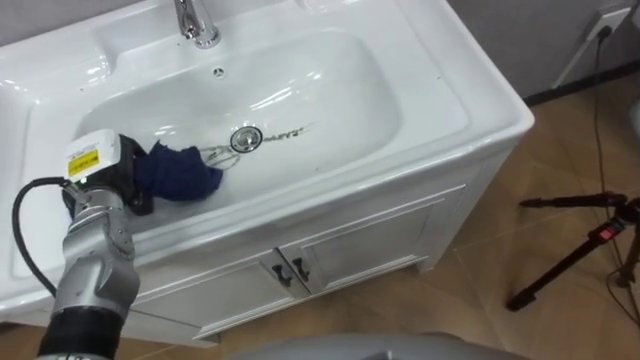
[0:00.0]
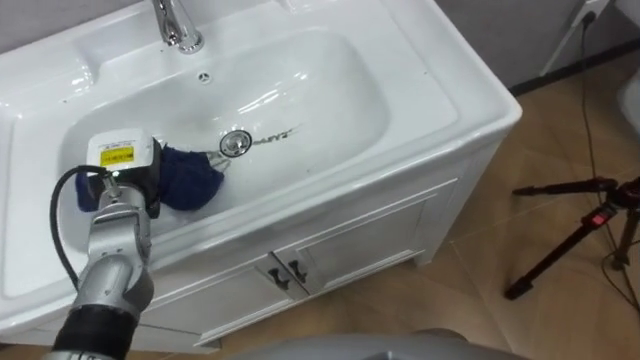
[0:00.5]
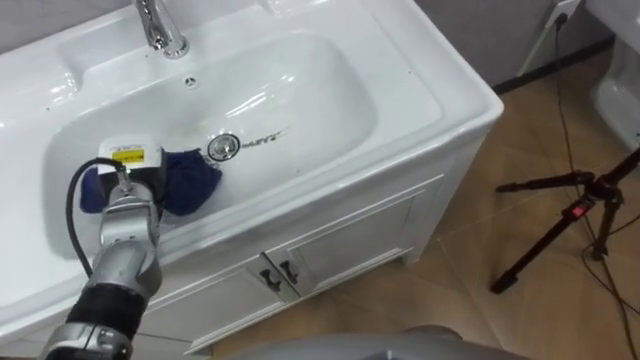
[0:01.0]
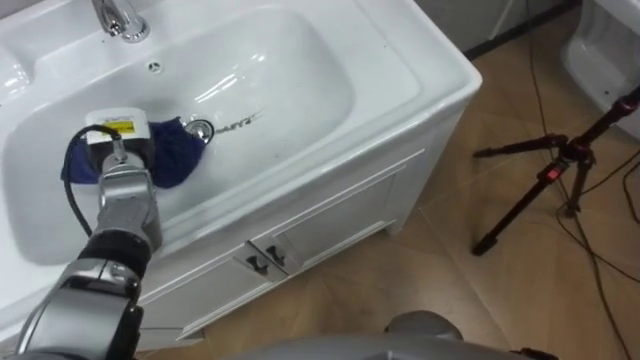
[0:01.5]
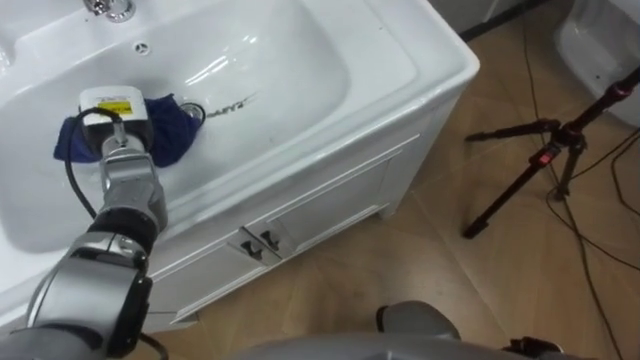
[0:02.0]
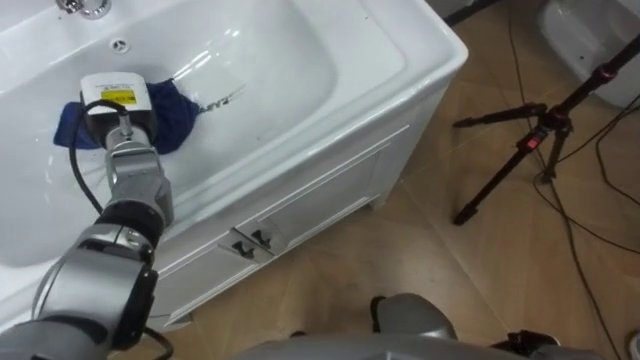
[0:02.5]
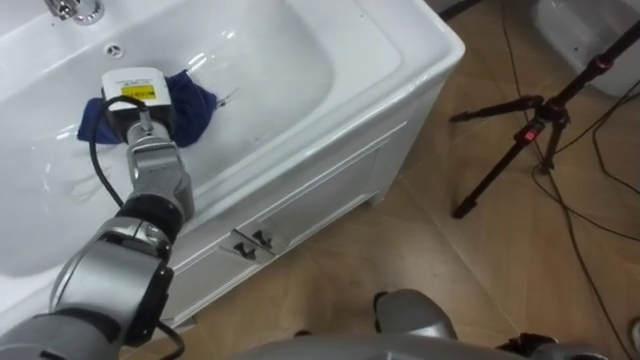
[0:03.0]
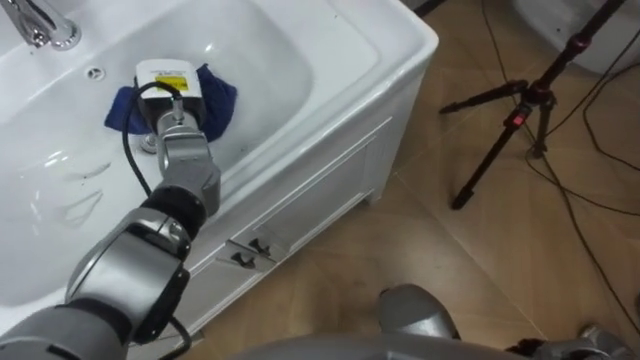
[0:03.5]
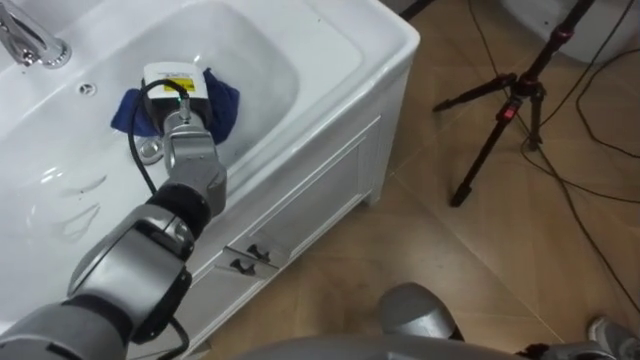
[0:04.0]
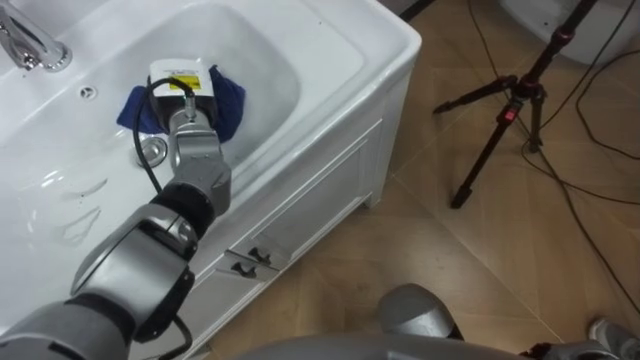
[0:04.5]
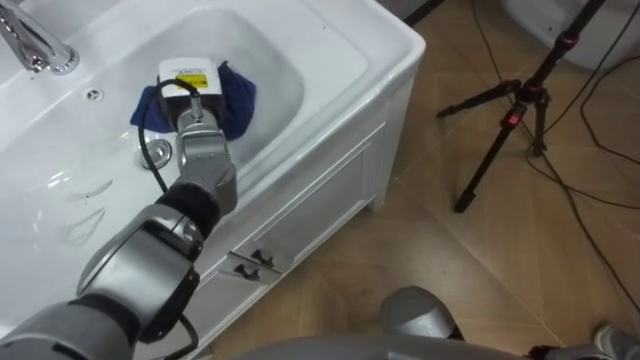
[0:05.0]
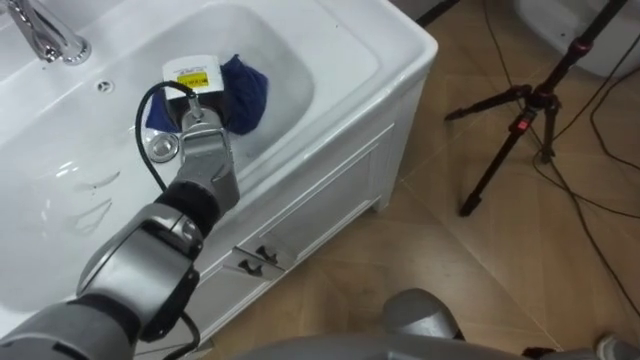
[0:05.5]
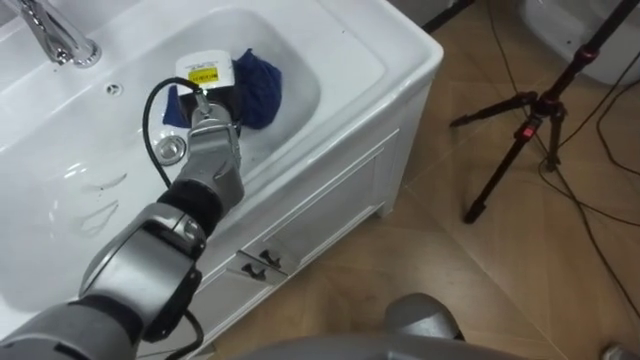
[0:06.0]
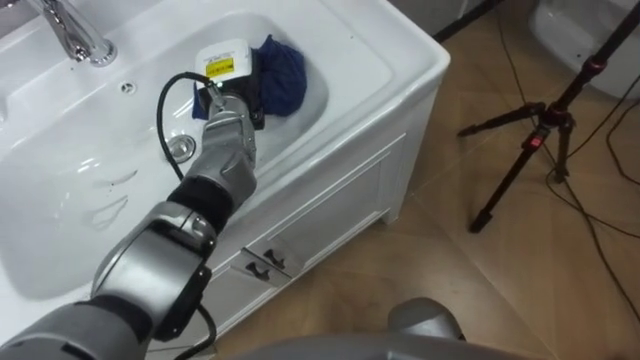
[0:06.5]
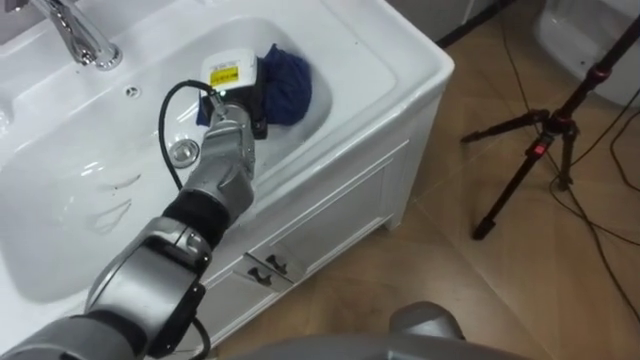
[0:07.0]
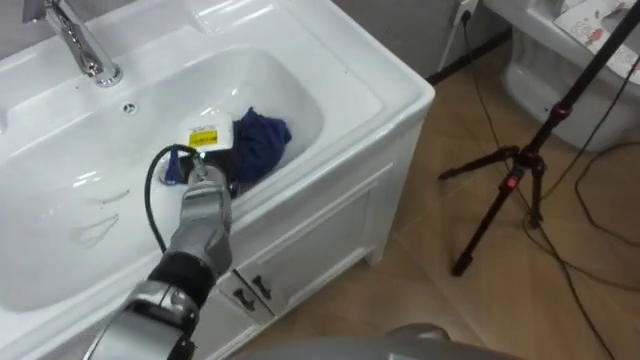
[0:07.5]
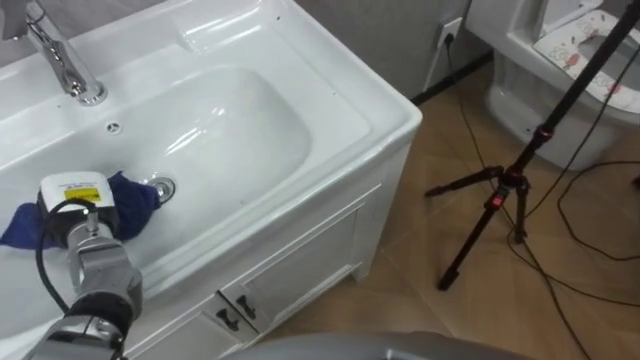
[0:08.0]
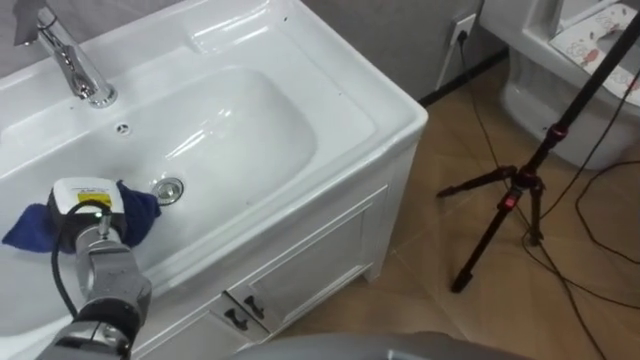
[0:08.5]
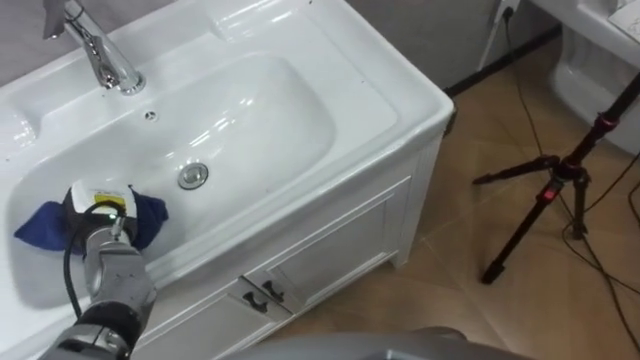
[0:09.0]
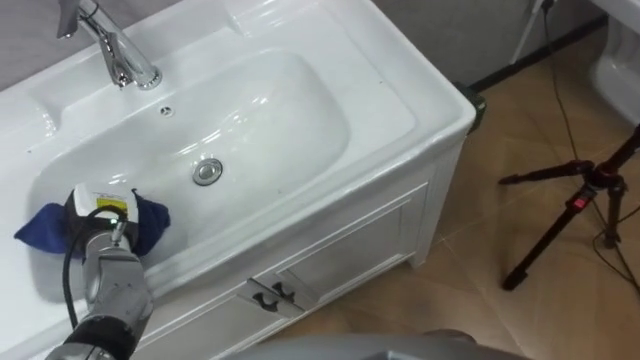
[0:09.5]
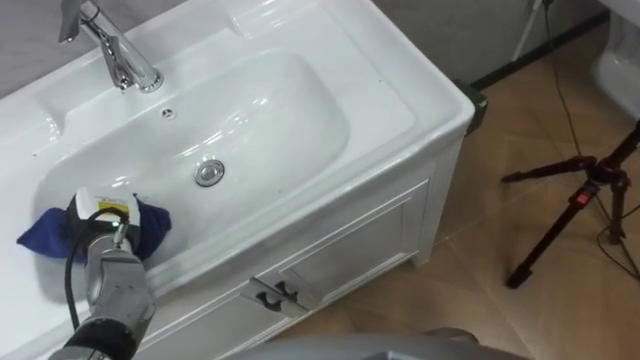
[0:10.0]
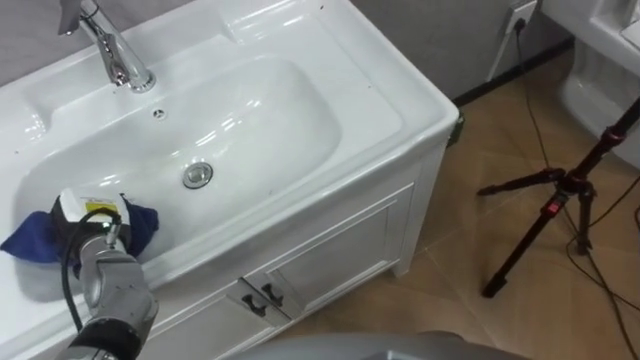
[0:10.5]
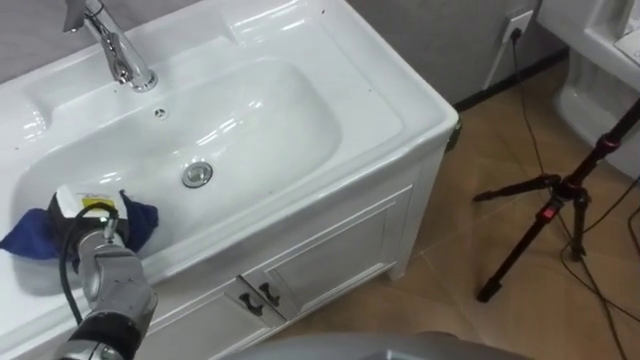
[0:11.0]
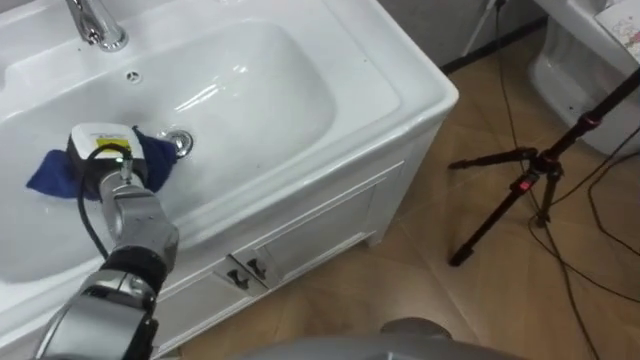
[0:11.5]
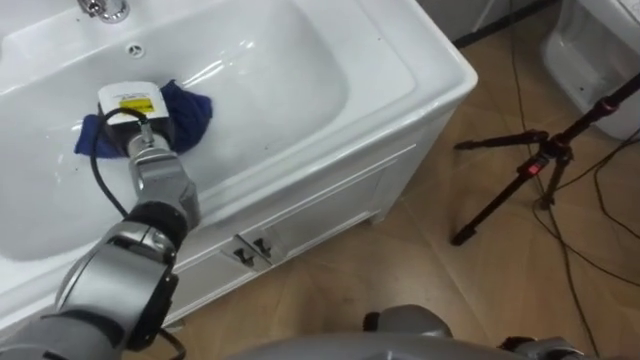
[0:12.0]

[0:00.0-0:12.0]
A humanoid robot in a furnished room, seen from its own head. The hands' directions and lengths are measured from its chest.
Task of the whole recording: Use the cloth on the right to wipe away the black stain in the sink.
0:00.0 to 0:02.0: The left hand is displaced forward by about 10 cm.
0:02.0 to 0:04.0: The left hand shifts about 10 cm to the right.
0:06.0 to 0:08.0: The left hand travels to the left, backward and downward by approximately 25 cm.
0:10.0 to 0:12.0: The left hand shifts about 15 cm forward, upward and to the right.

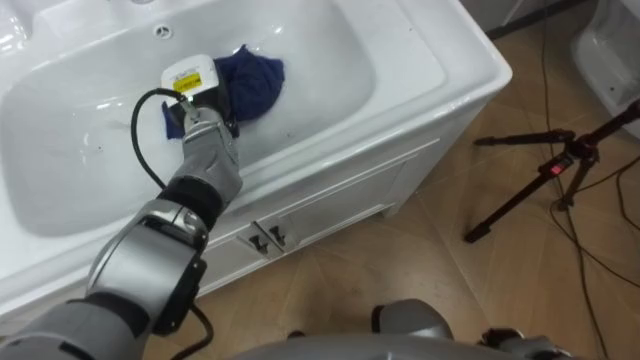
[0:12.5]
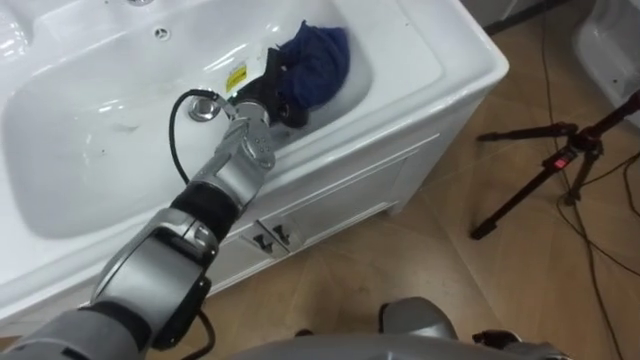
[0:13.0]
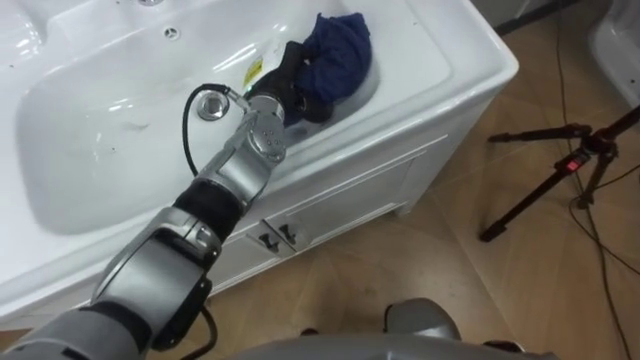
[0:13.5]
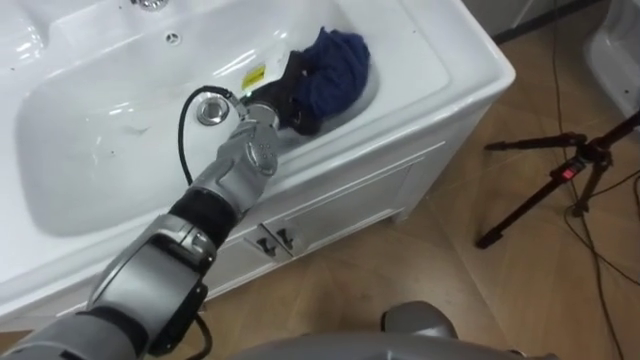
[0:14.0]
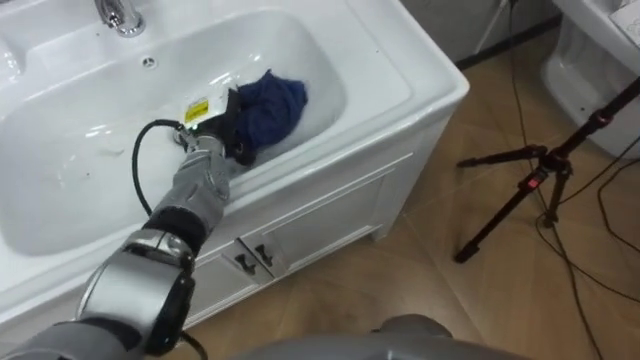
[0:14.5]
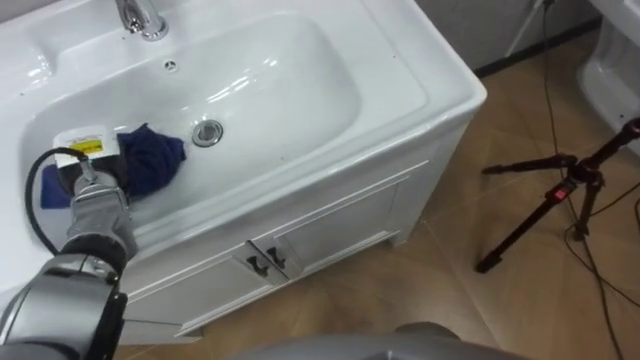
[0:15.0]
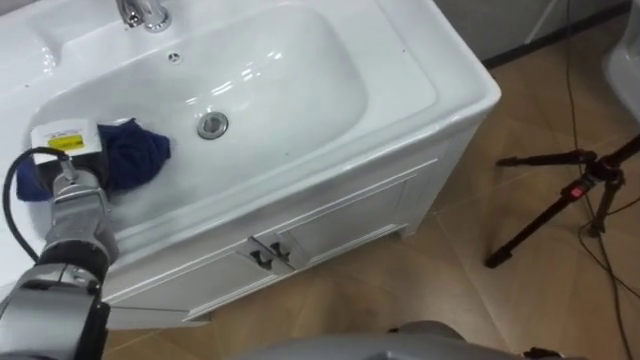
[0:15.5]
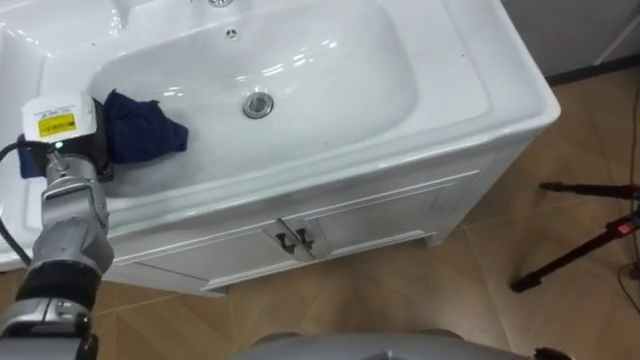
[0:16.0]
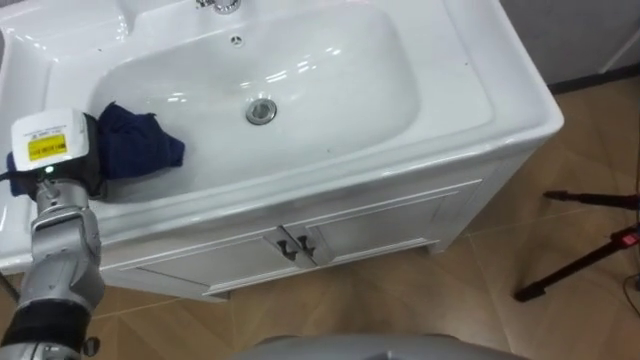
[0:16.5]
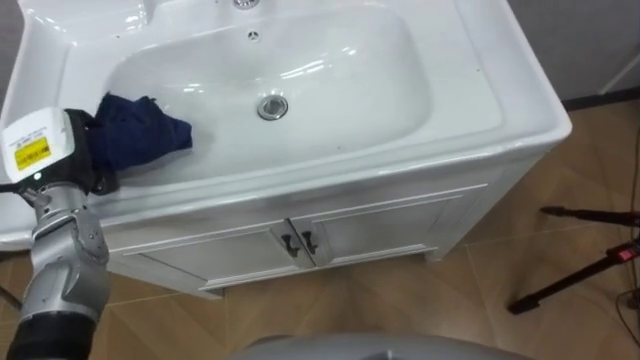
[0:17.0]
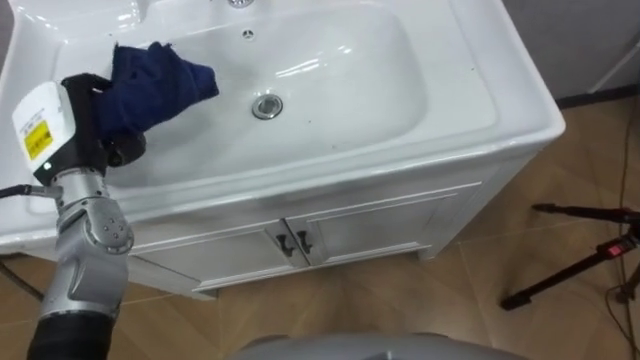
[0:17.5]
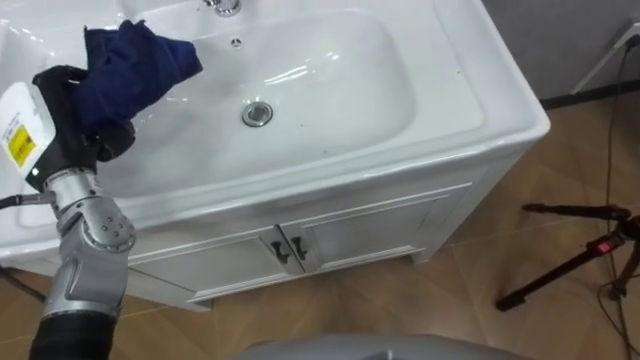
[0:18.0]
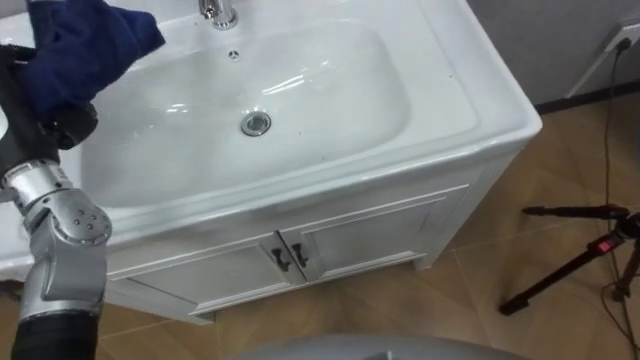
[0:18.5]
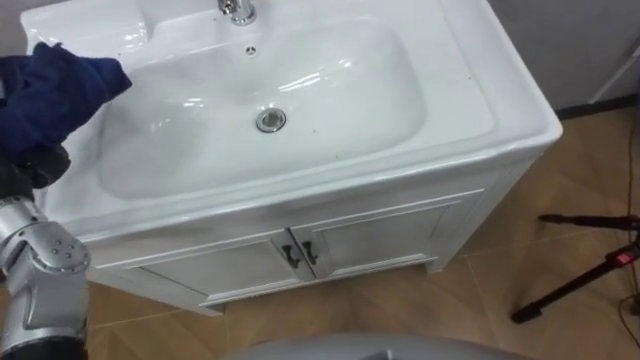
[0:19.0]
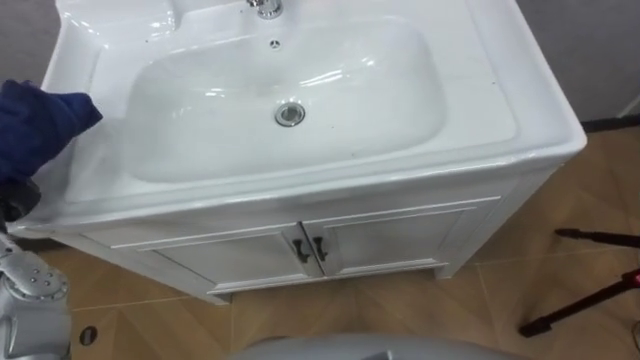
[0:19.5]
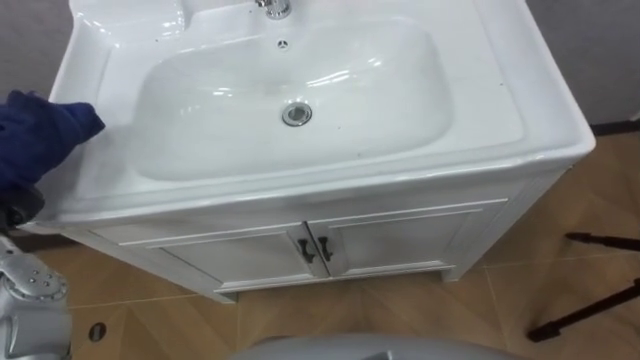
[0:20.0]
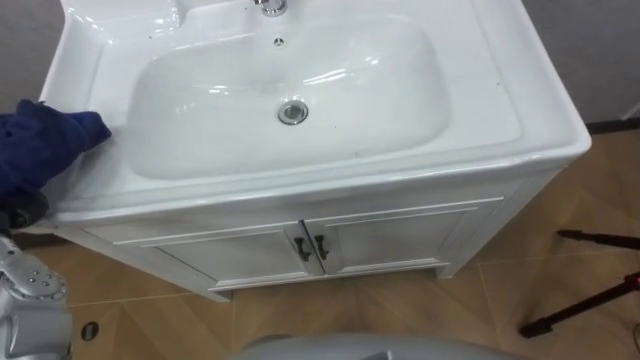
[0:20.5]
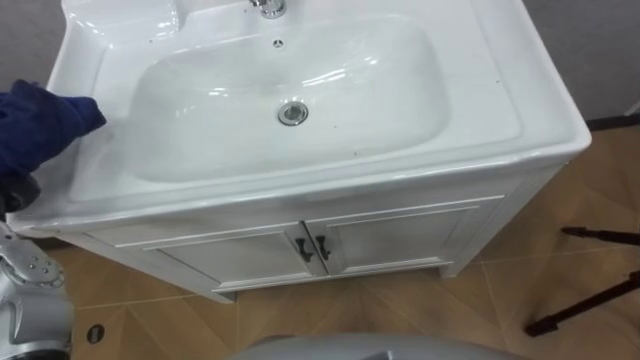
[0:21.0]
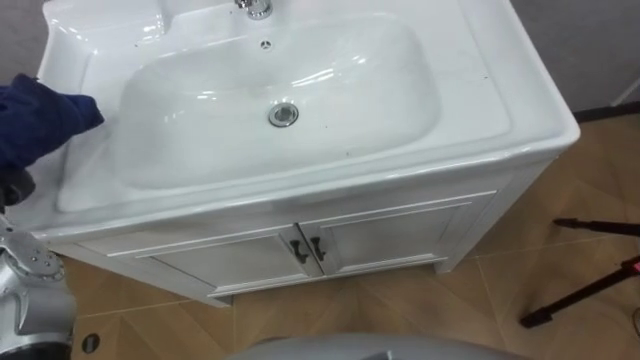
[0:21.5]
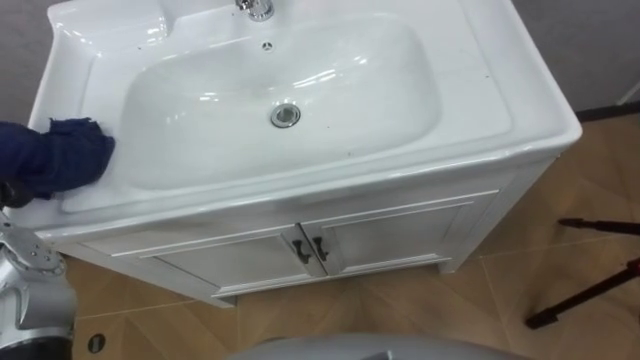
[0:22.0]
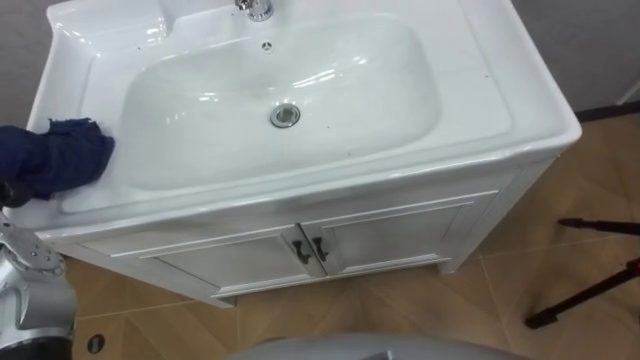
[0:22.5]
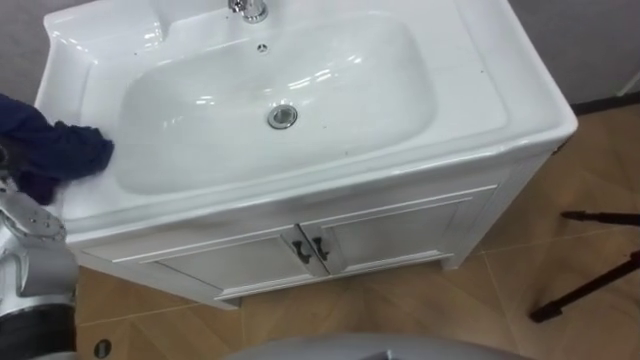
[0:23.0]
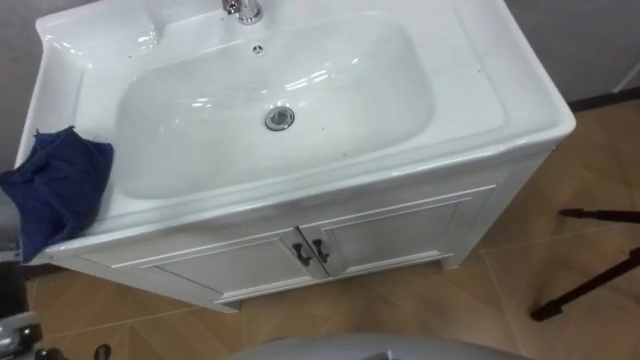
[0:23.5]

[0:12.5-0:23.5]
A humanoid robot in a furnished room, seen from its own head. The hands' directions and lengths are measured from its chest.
Task of the whole recording: Use the cloth on the right to wipe away the black stain in the sink.
0:12.5 to 0:14.5: The left hand reaches roughly 10 cm to the right, then returns.
0:14.5 to 0:16.0: The left hand travels to the left by roughly 15 cm.
0:16.0 to 0:18.0: The left hand heads upward, covering about 5 cm.
